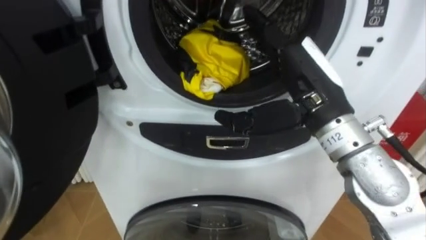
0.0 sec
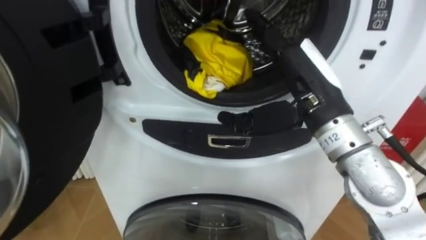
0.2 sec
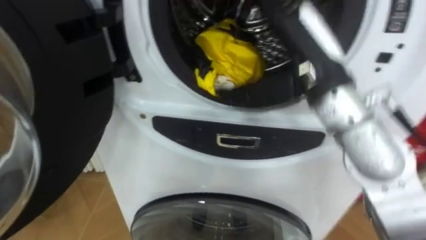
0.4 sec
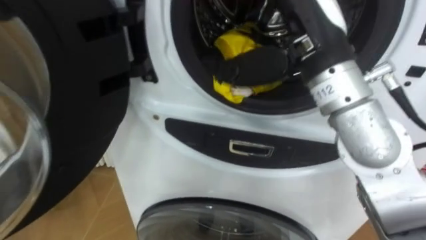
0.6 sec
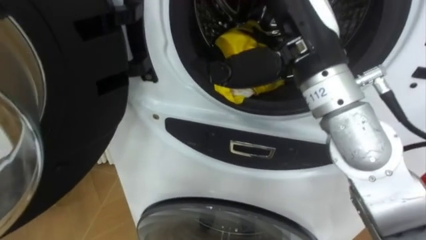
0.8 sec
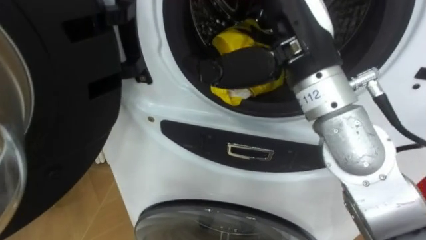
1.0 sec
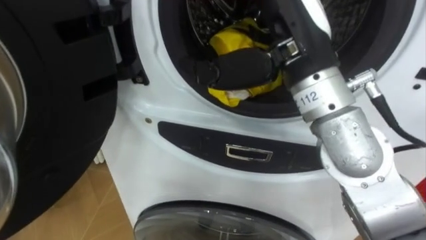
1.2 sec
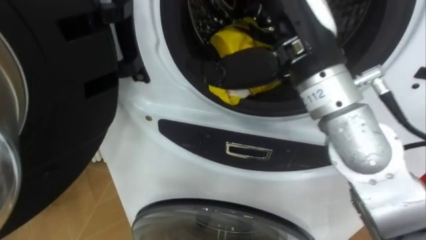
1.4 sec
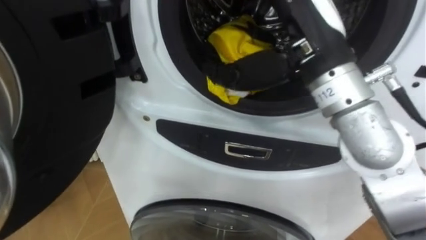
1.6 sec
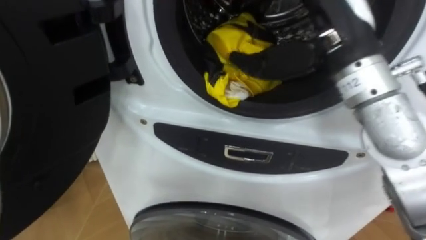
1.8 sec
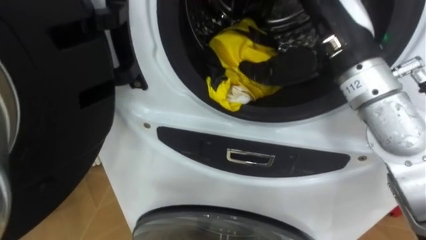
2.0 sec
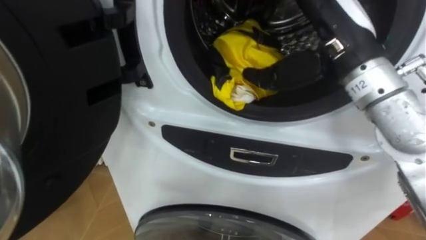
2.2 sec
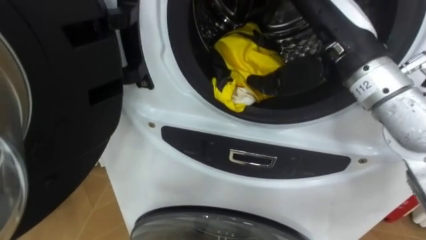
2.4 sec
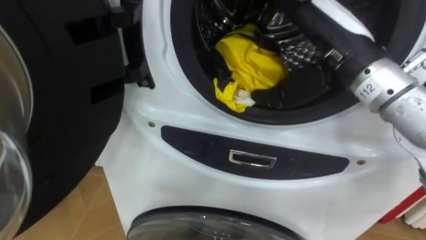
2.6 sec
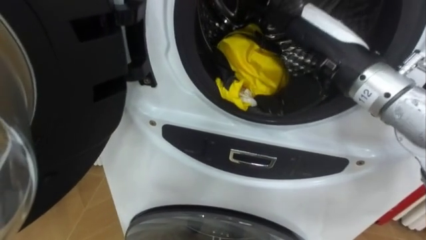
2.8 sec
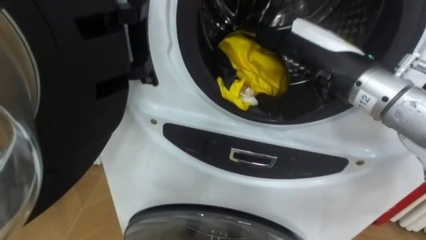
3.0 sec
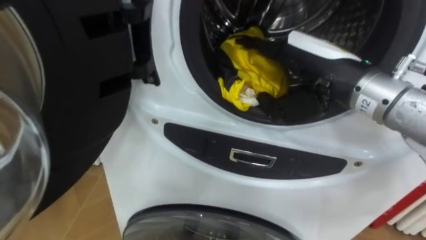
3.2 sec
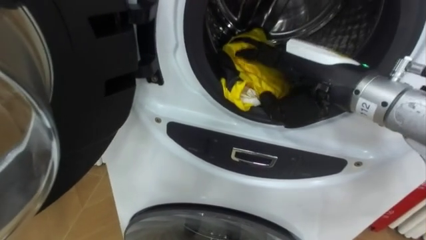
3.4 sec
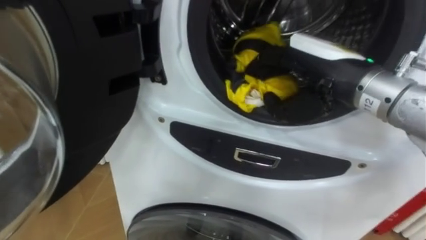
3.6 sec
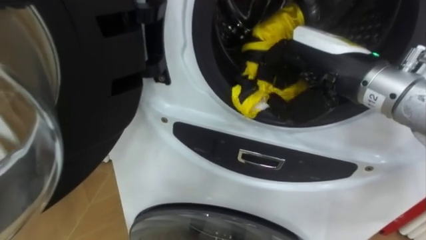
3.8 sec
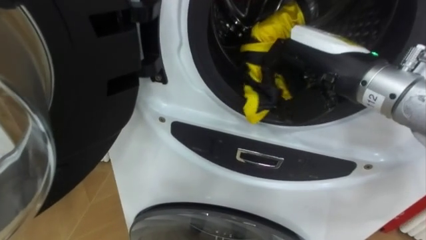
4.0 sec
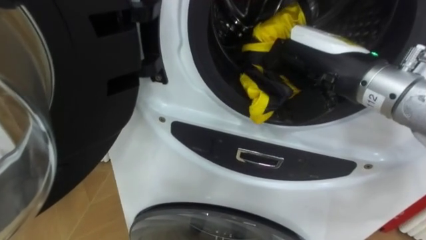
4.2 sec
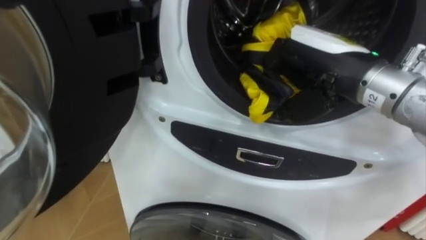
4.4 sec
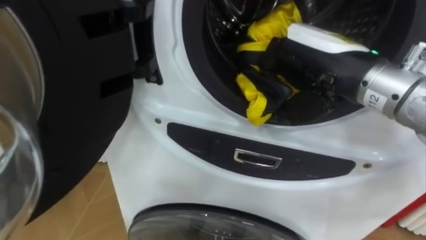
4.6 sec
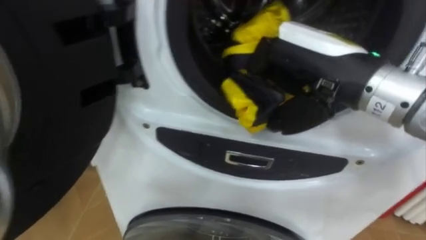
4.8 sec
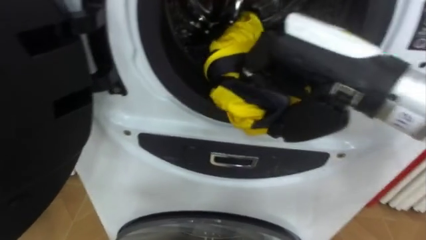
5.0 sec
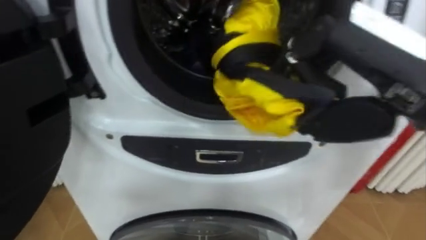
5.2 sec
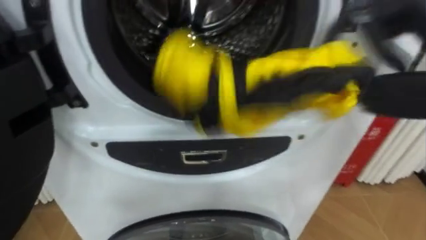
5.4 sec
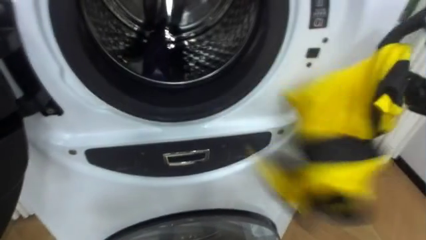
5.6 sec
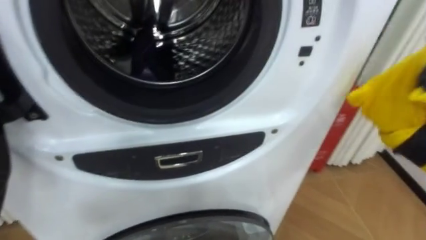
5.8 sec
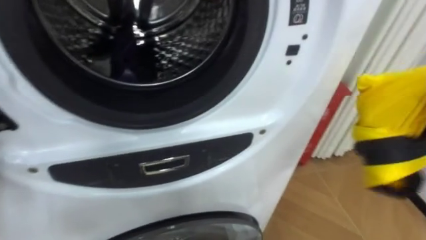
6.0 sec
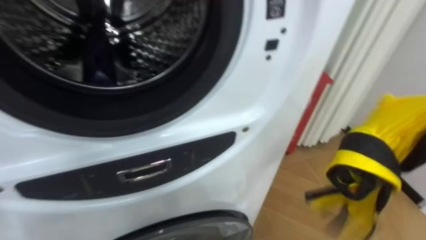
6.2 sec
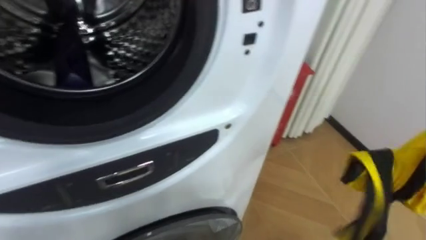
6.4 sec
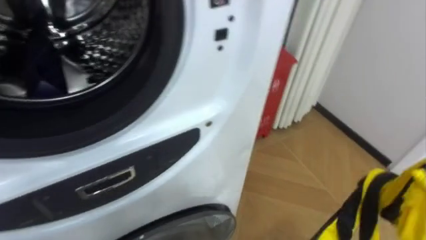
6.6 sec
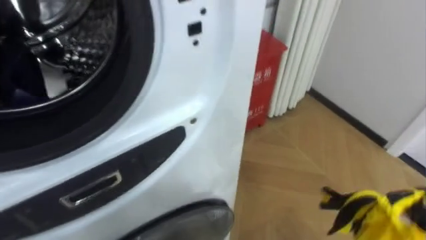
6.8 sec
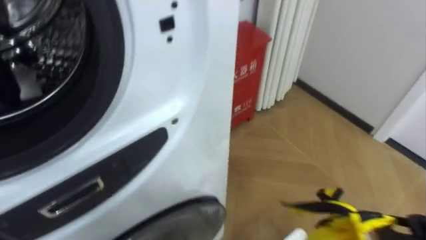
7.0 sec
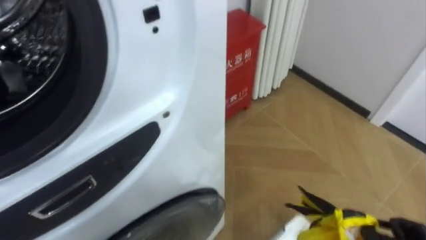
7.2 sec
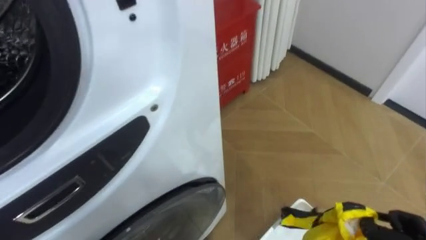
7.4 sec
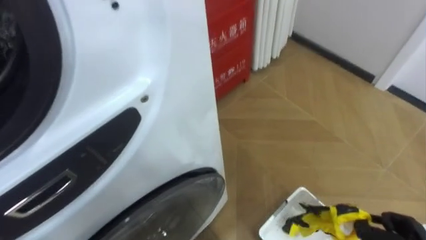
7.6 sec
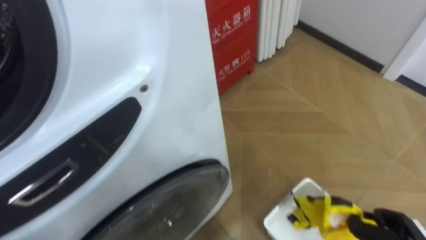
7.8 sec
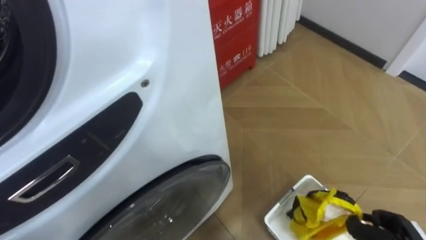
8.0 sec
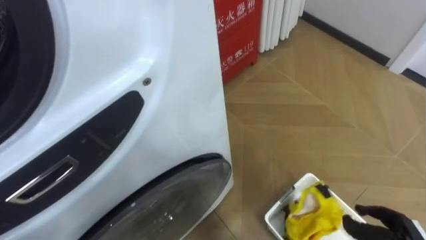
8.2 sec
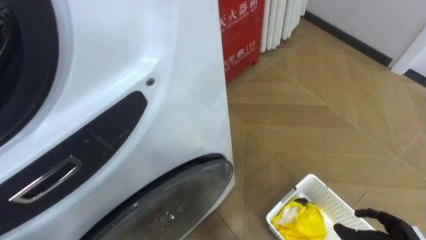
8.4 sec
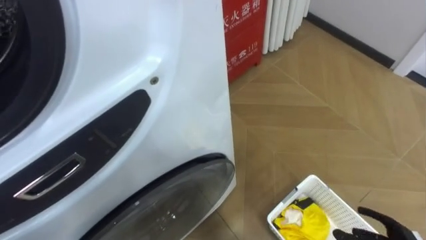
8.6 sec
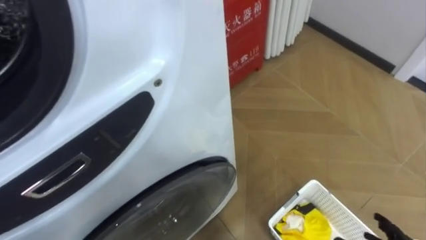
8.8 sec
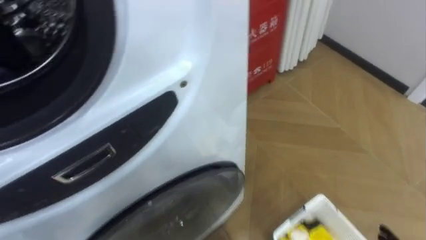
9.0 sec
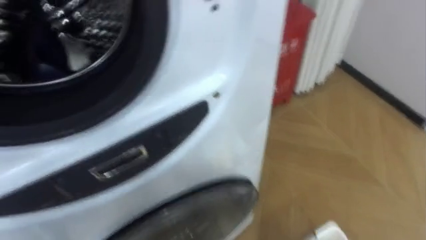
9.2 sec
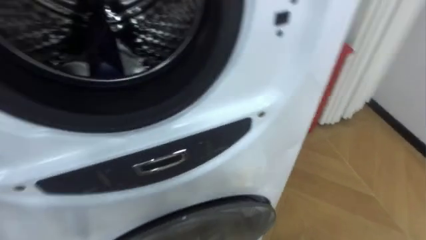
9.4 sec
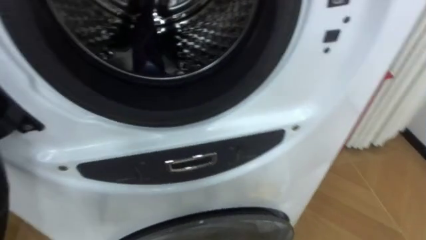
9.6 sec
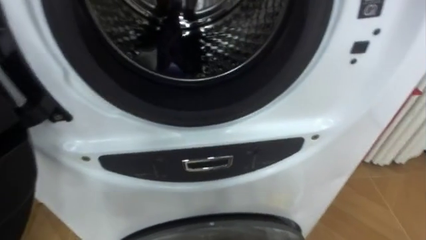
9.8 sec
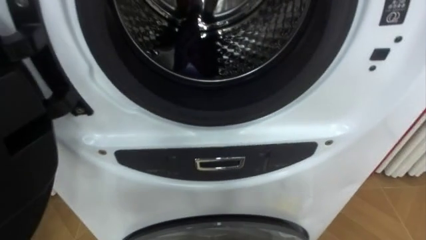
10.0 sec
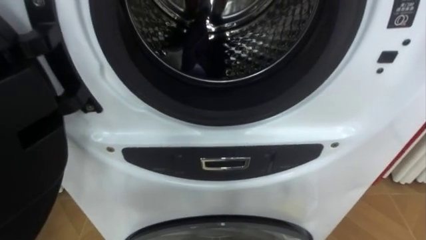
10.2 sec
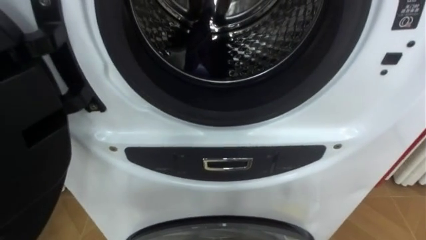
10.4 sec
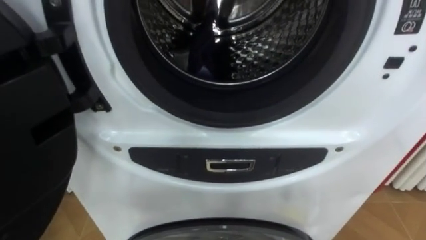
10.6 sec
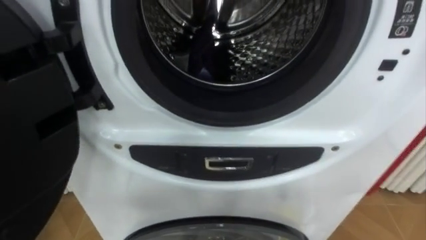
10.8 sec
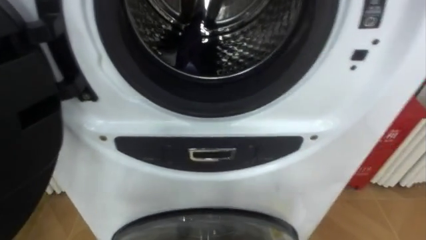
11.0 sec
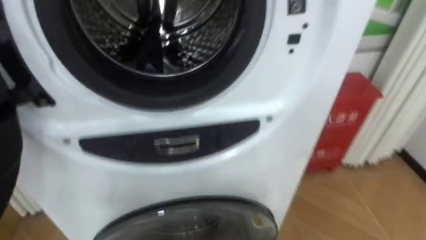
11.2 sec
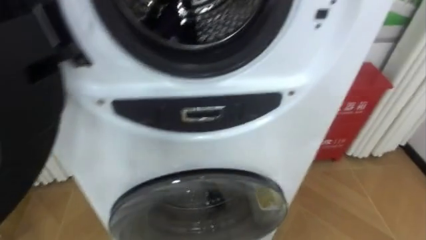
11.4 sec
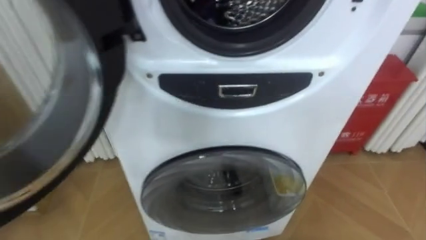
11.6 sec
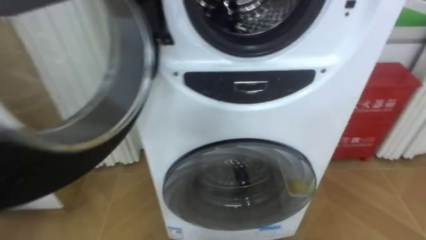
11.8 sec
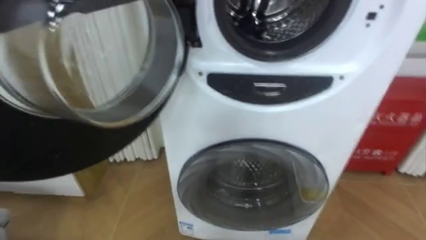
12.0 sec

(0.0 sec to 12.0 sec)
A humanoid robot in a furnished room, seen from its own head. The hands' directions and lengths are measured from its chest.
Task of the whole recording: Open the washing machine door, take out the yellow clothes, place them in the box on the right, and close the washing machine door.
0.0 sec - 1.6 sec: The right hand is displaced upward by approximately 10 cm.
1.6 sec - 3.0 sec: The right hand travels downward by approximately 5 cm.
3.0 sec - 4.4 sec: The right hand closes its fingers.
6.0 sec - 7.6 sec: The robot turns to its right by roughly 20 degrees.

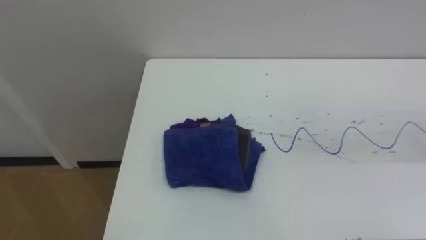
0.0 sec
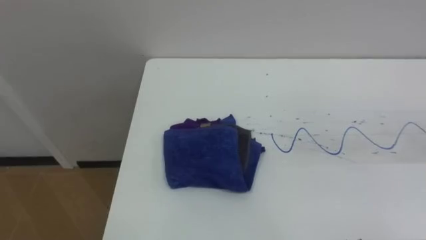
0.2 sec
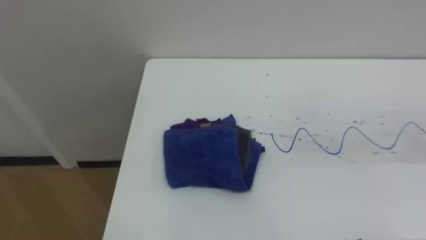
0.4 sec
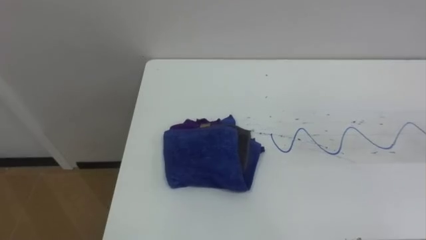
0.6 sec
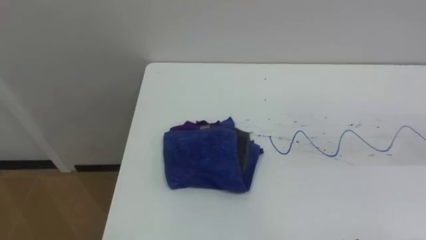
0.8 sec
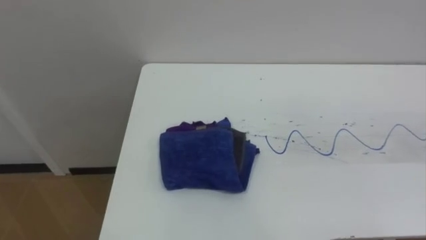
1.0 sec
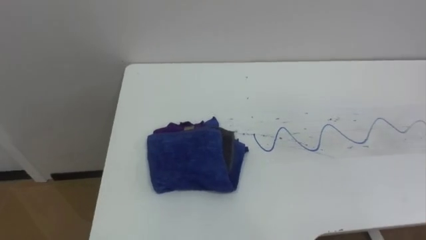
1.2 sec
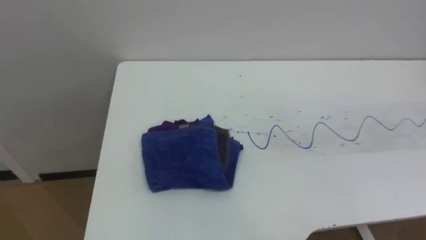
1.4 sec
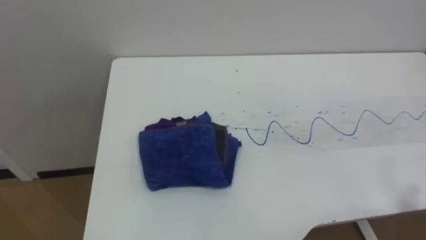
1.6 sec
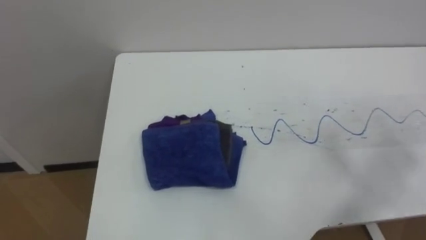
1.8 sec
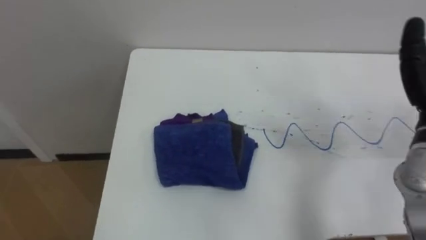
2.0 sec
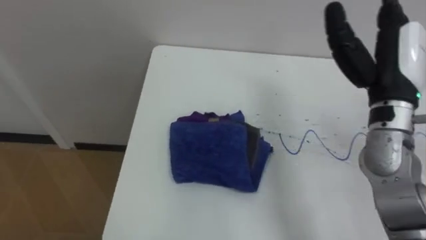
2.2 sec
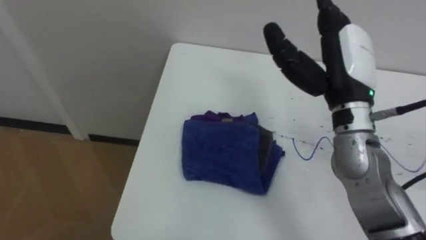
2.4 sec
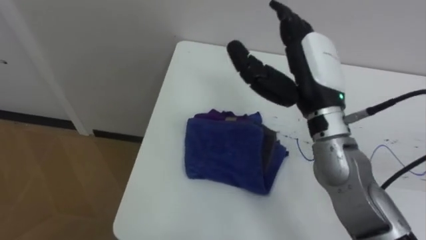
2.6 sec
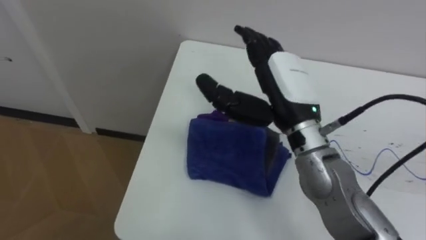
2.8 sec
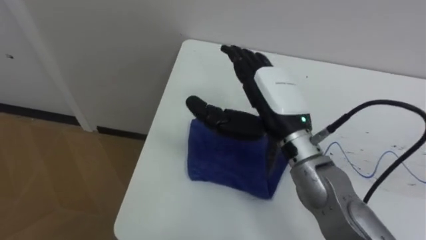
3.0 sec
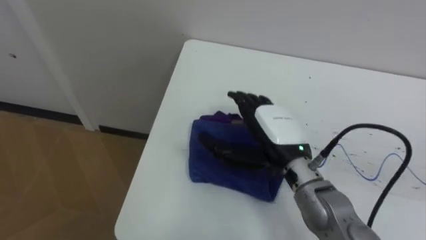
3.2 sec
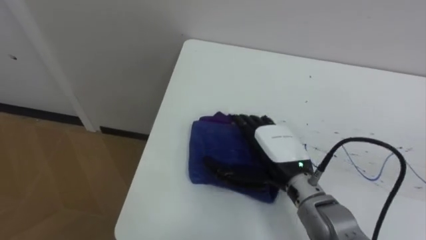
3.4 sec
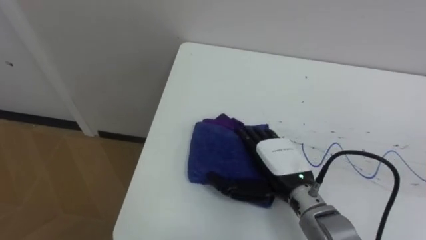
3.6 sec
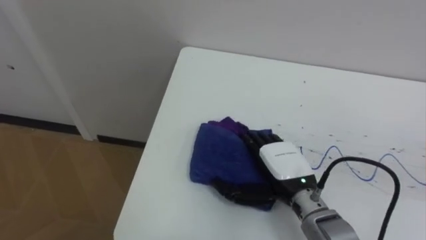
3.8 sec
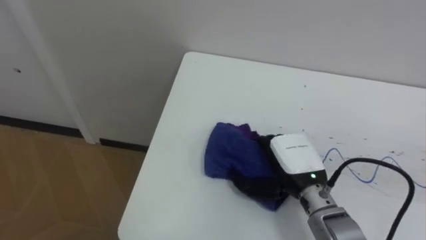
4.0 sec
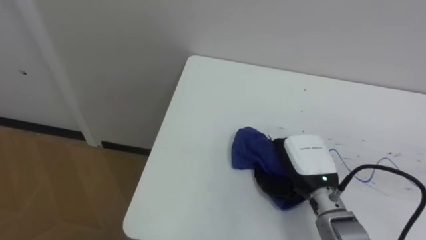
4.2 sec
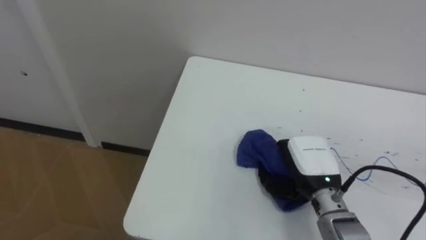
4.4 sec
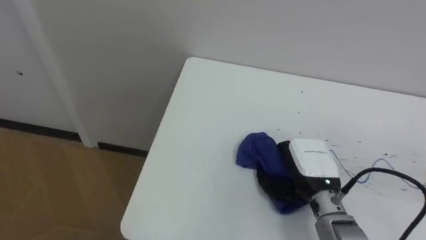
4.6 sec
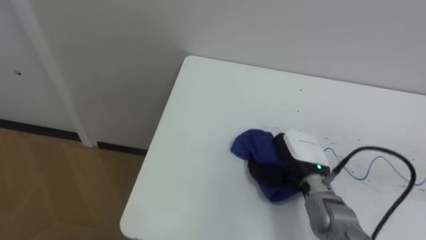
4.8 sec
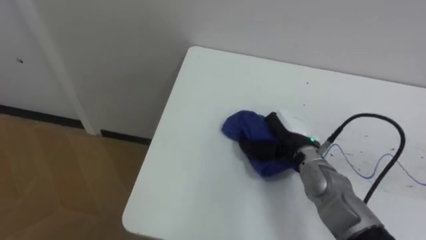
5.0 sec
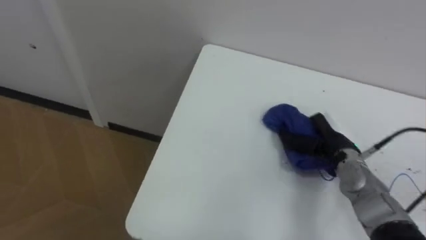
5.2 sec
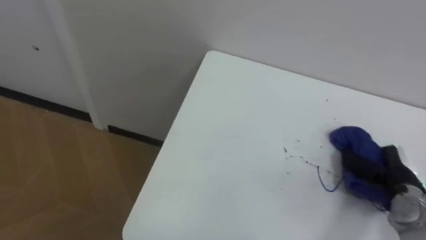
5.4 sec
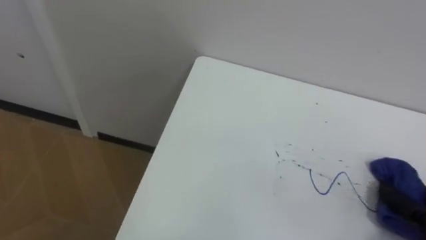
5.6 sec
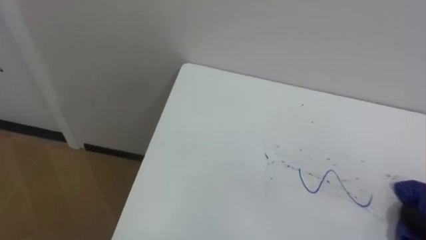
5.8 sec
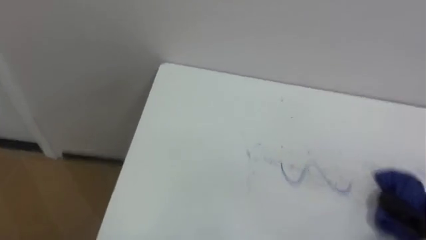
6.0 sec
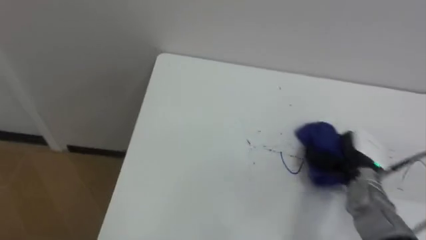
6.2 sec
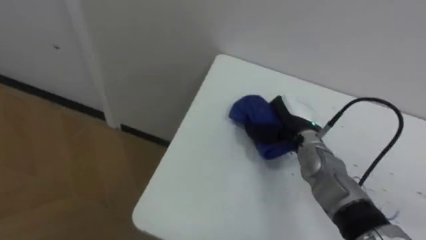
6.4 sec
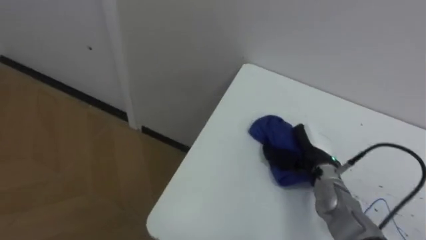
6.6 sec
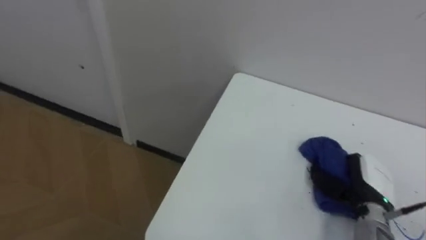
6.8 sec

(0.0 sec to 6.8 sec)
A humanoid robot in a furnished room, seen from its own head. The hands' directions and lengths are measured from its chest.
Task of the whole recording: Wipe the blue pen marks off the table with the rag.
2.8 sec - 4.0 sec: The right hand moves downward, roughly 15 cm.
4.0 sec - 5.4 sec: The right hand is displaced to the right by roughly 20 cm, and closes.
